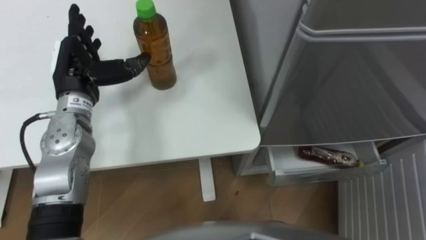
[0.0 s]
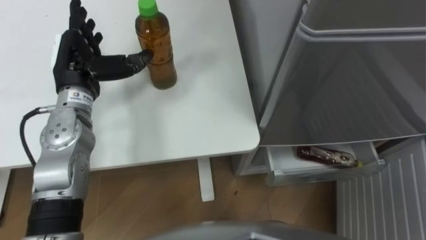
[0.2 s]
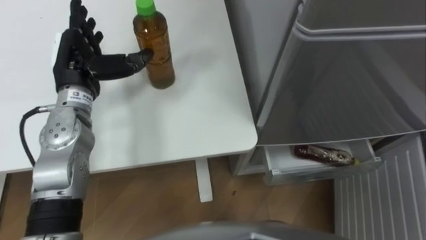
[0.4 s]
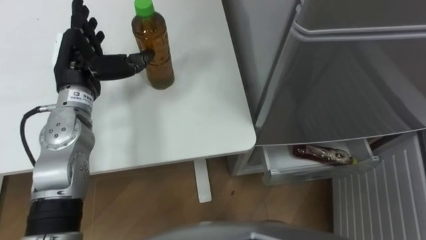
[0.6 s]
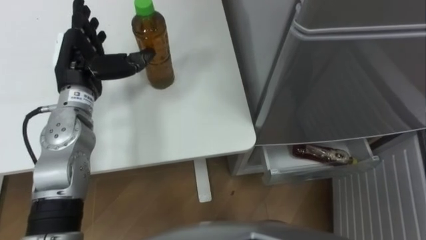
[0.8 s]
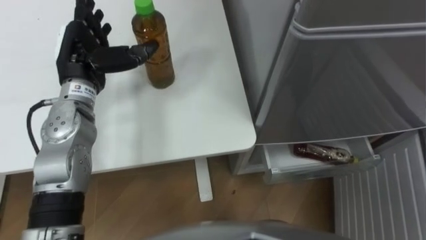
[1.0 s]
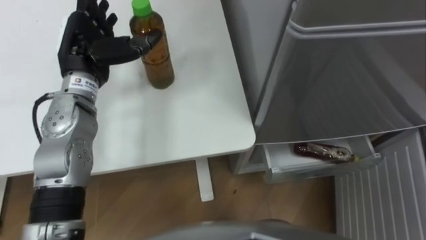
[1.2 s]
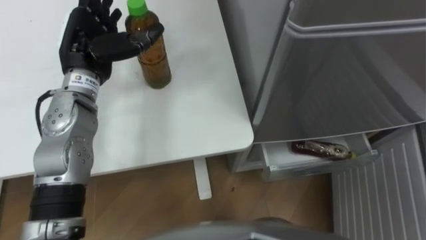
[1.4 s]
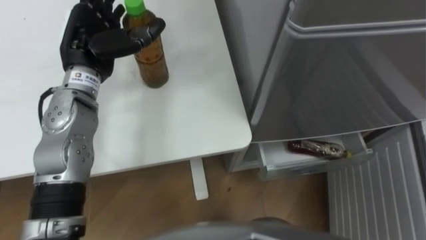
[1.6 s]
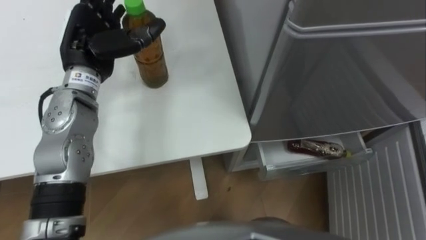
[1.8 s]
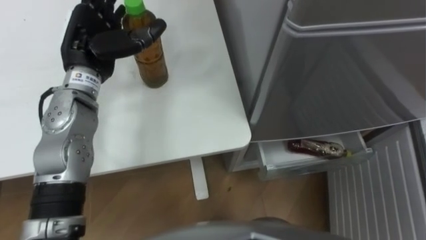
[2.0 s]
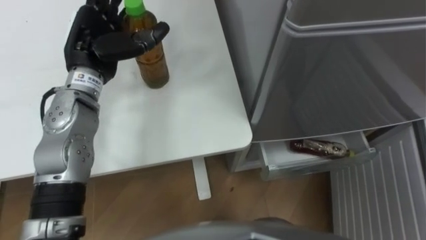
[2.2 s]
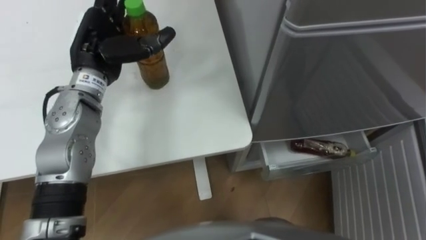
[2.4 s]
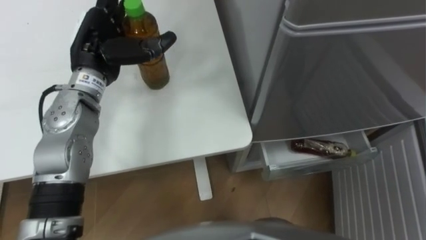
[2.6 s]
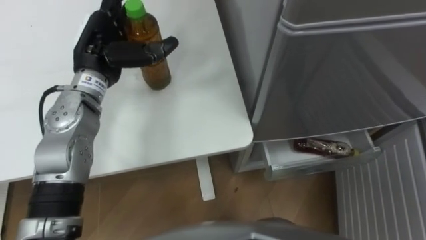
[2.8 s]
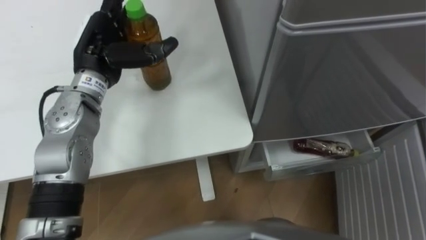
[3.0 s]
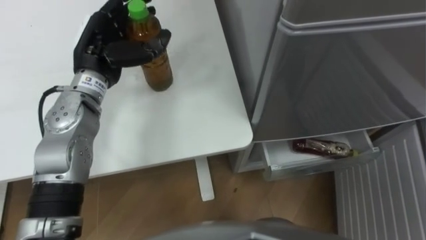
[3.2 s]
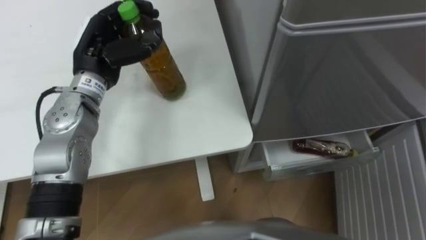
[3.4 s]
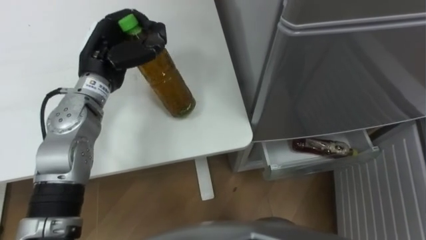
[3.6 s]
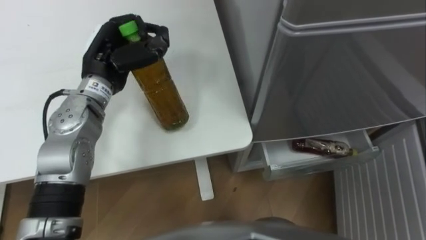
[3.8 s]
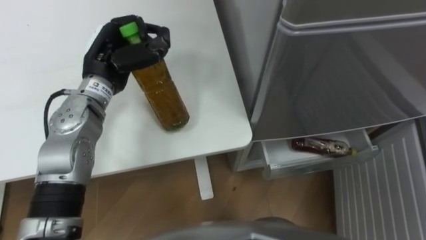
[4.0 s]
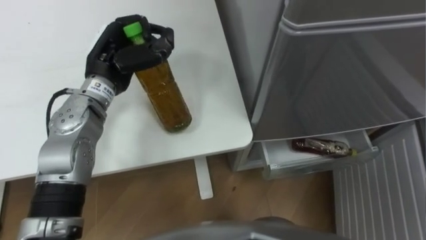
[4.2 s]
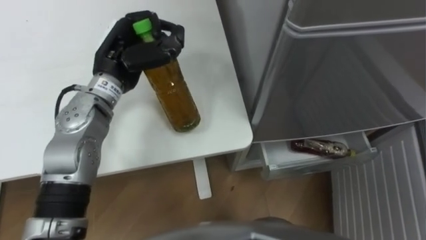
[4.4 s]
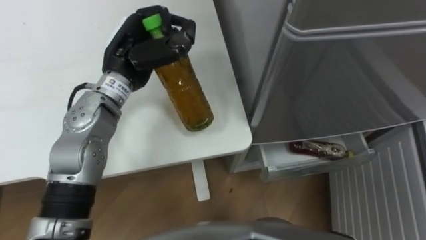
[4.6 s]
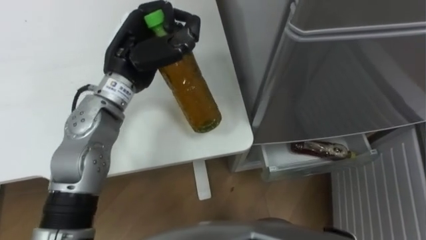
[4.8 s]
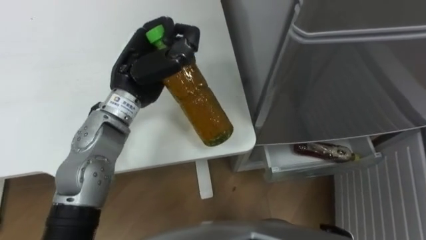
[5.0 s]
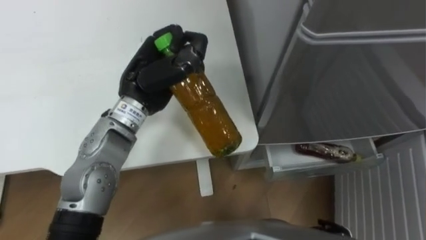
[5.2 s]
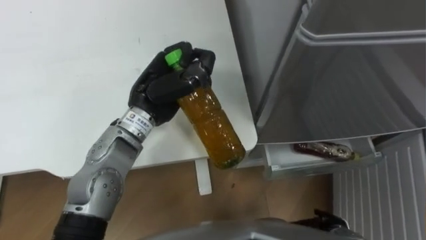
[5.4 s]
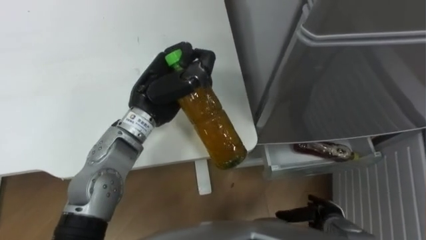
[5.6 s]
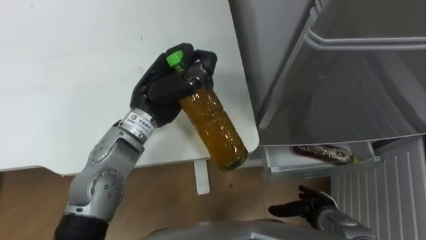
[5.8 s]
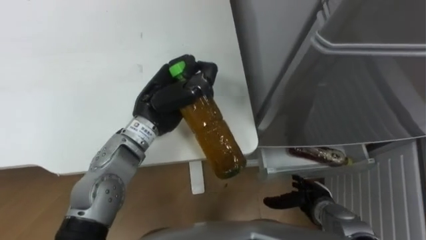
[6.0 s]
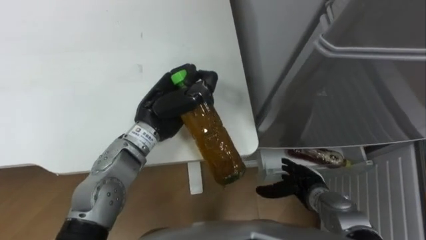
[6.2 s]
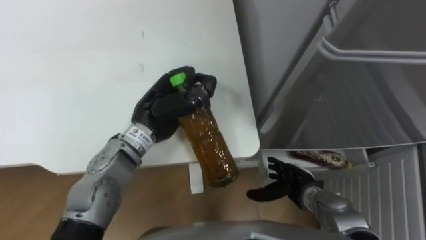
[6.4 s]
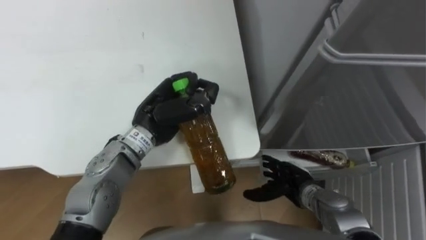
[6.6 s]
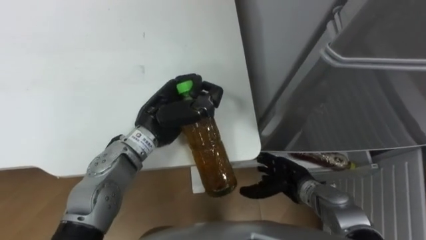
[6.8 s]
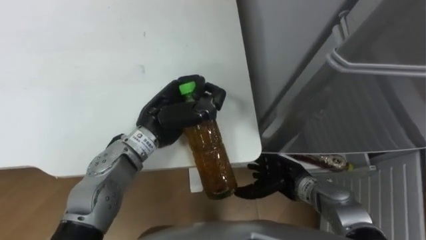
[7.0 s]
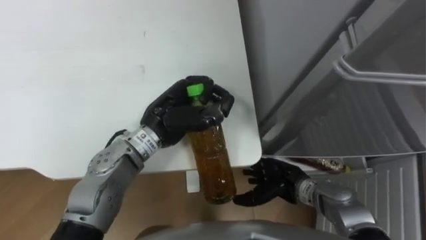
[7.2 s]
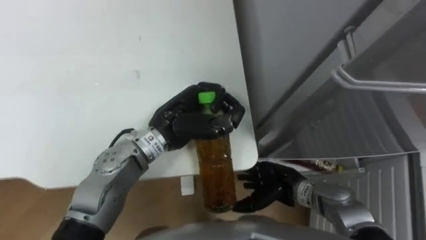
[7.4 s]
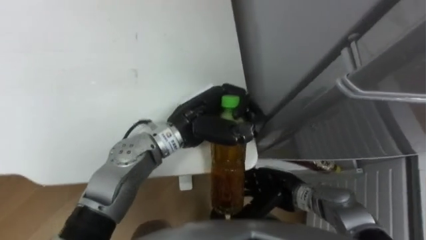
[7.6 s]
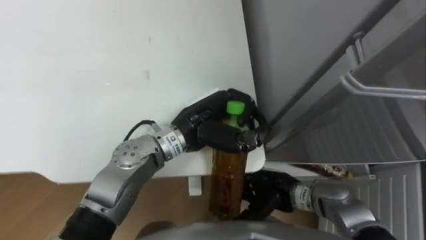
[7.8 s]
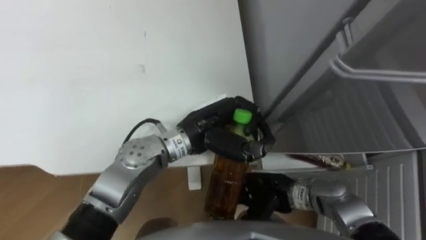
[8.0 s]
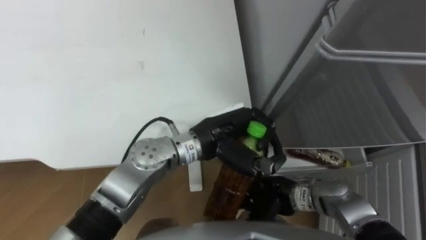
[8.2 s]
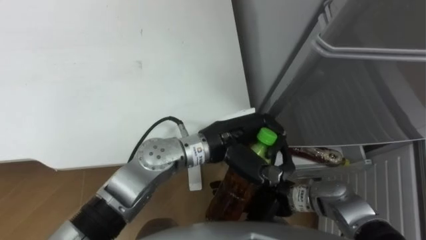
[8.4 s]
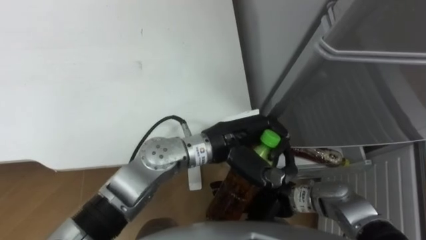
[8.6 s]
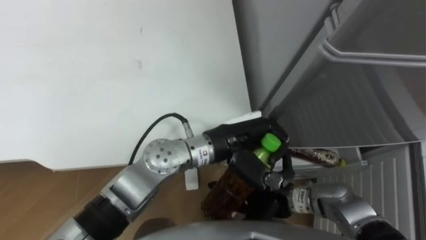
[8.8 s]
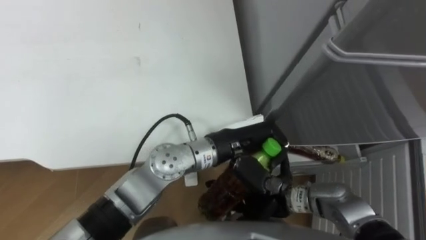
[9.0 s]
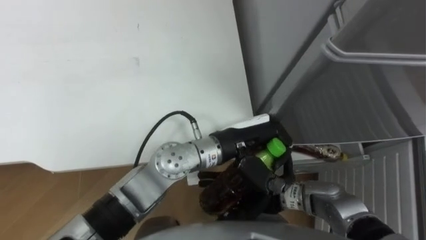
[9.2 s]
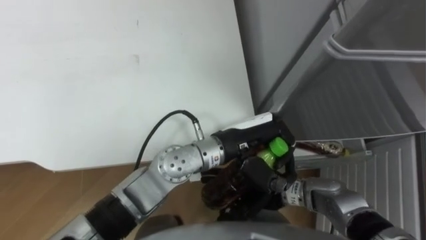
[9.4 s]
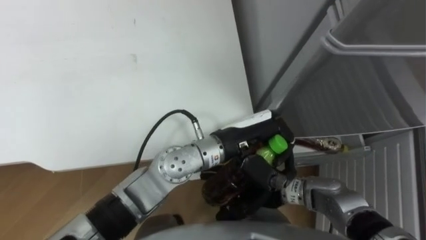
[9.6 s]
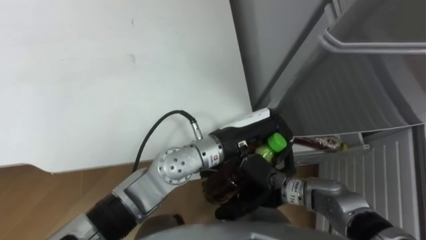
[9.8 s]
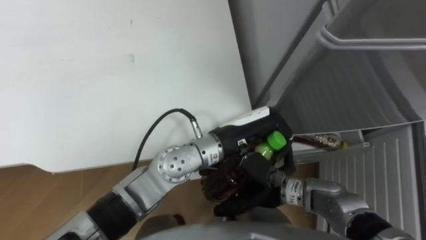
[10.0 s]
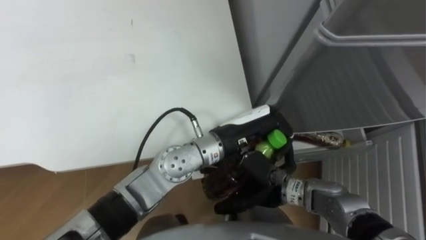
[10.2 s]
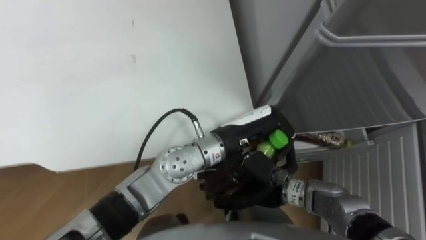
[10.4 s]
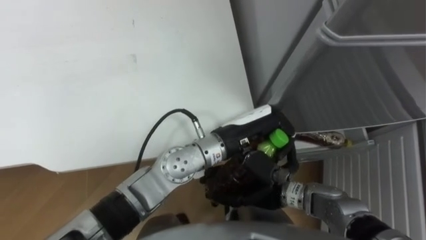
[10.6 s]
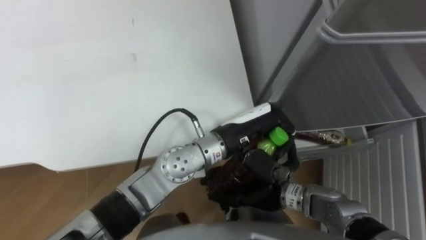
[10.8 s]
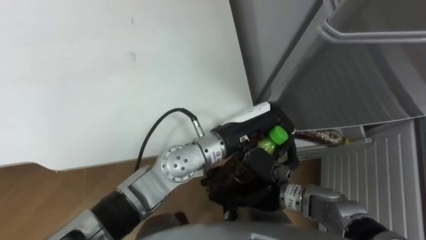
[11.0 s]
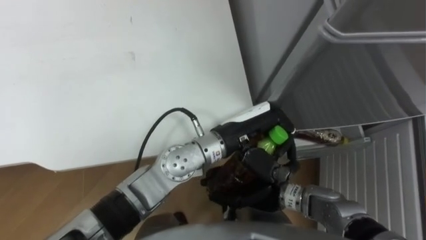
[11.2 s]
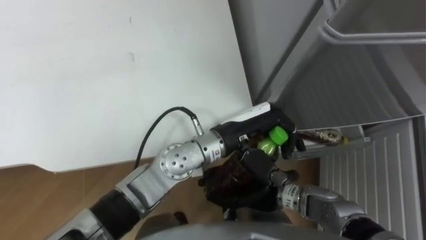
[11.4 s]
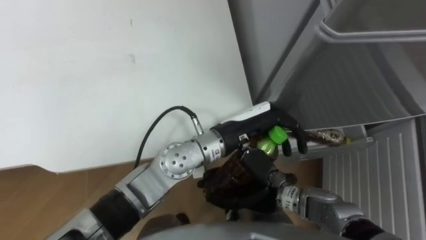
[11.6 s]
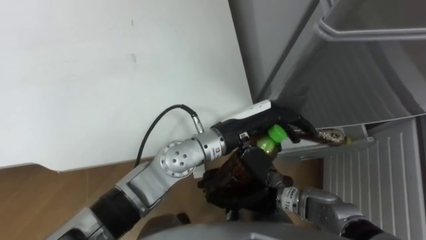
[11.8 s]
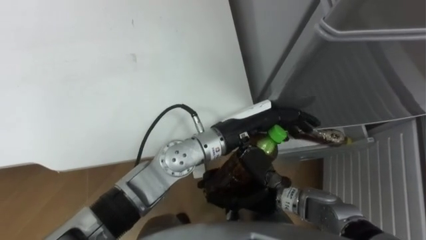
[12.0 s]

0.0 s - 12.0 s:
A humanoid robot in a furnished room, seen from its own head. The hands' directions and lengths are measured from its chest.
Task of the whole recording: Place the drink on the table on the bottom shelf of the refrigerator, then close the drawer and the refrigerator door.
0.0 s - 1.6 s: The left hand changes place by about 5 cm.
3.0 s - 4.4 s: The left hand closes up.
4.4 s - 6.0 s: The left hand shifts some 10 cm to the right and backward.
6.0 s - 7.6 s: The right hand goes about 10 cm to the left and upward. Meanwhile the left hand shifts about 5 cm to the right.
7.6 s - 9.0 s: The left hand heads to the right, covering about 5 cm.
10.4 s - 12.0 s: The right hand closes, while the left hand opens up.

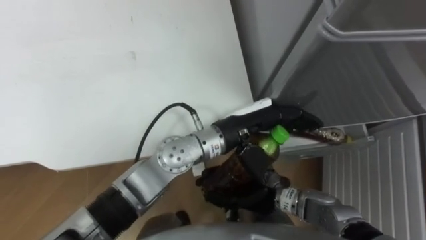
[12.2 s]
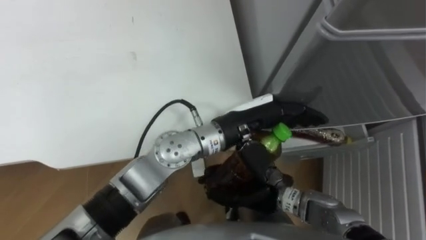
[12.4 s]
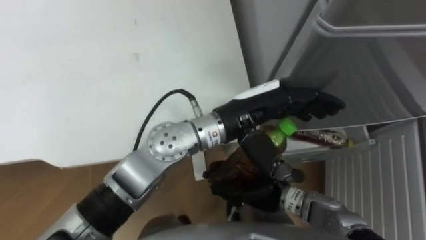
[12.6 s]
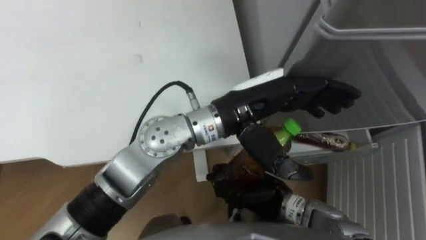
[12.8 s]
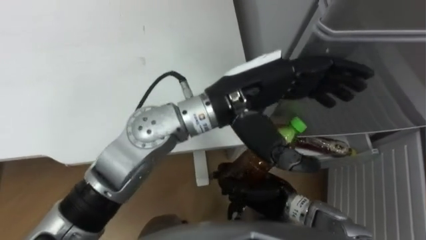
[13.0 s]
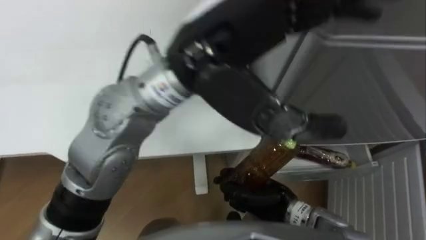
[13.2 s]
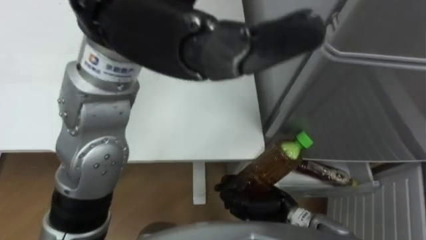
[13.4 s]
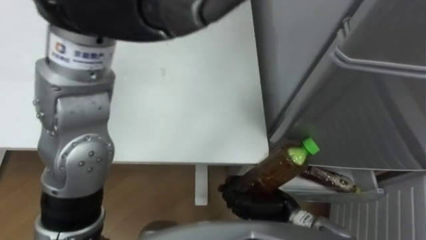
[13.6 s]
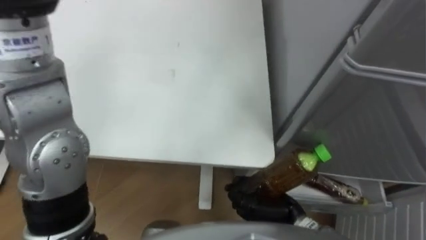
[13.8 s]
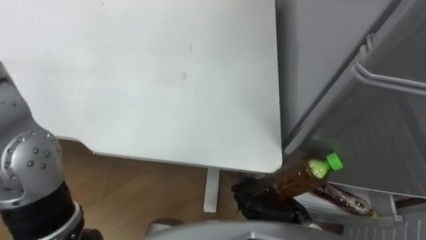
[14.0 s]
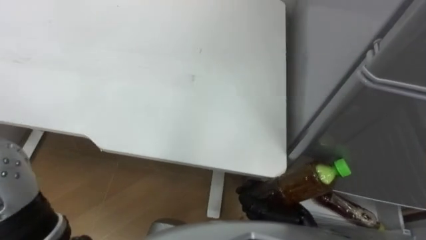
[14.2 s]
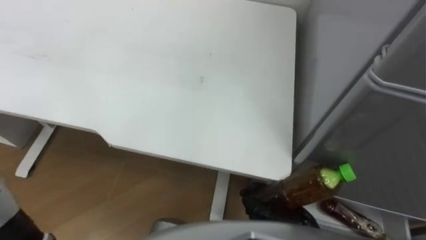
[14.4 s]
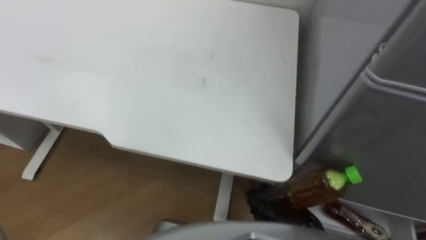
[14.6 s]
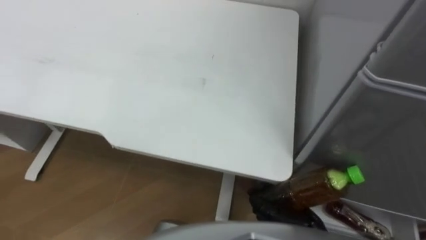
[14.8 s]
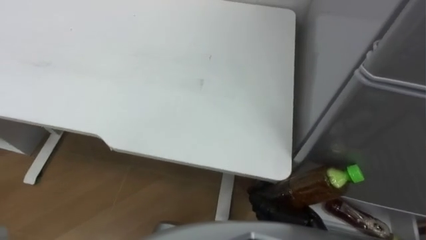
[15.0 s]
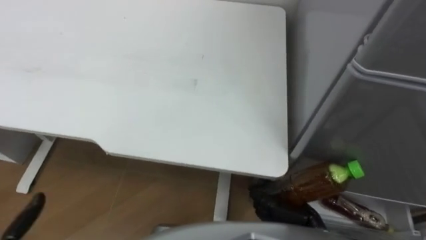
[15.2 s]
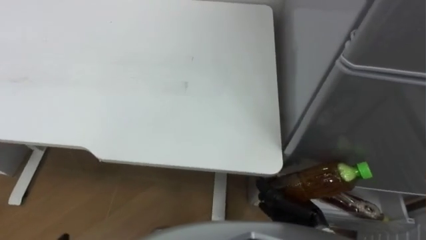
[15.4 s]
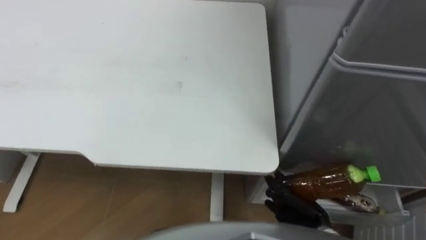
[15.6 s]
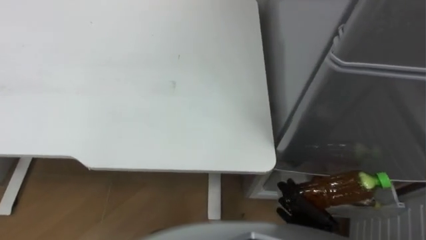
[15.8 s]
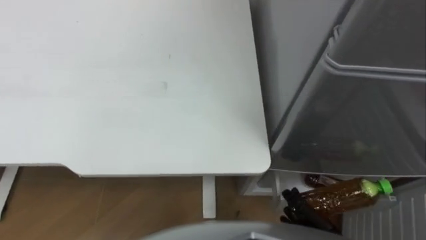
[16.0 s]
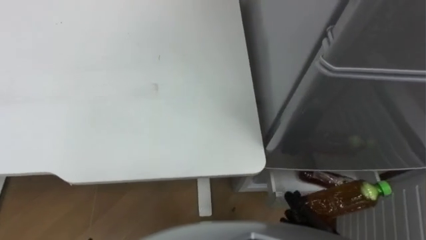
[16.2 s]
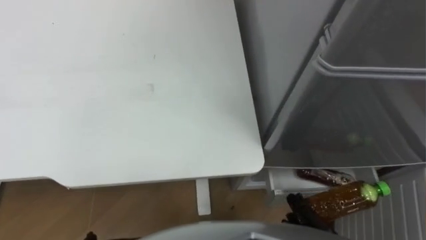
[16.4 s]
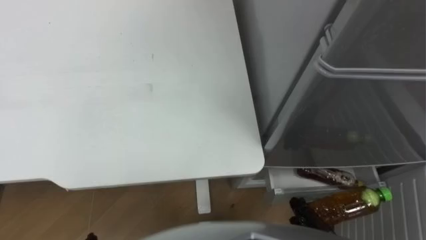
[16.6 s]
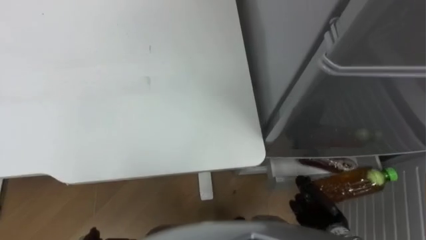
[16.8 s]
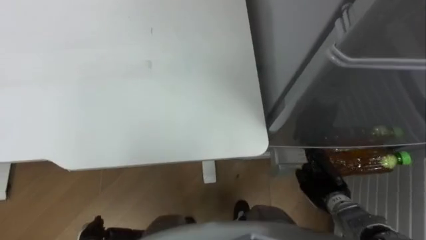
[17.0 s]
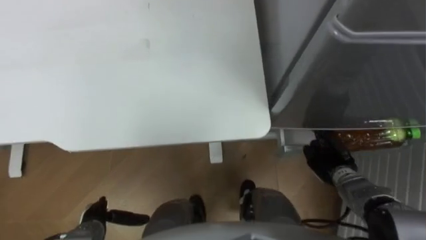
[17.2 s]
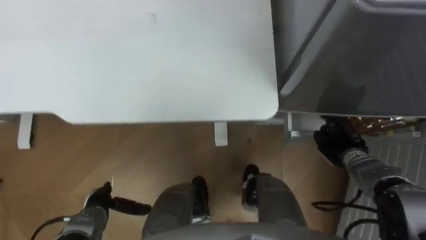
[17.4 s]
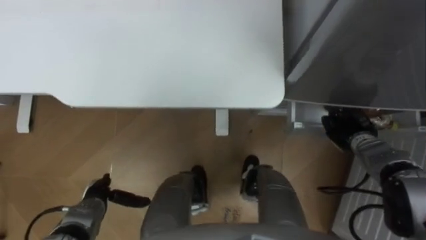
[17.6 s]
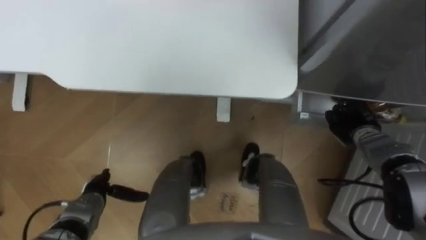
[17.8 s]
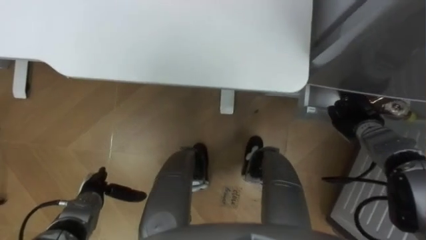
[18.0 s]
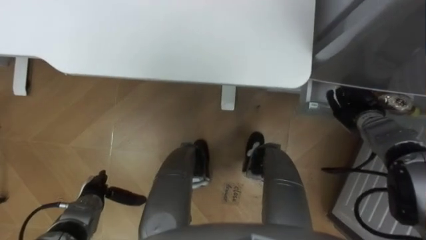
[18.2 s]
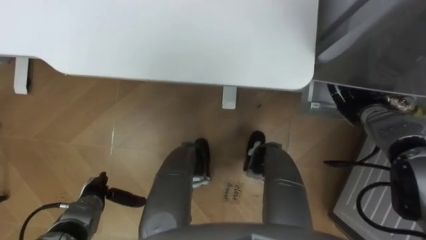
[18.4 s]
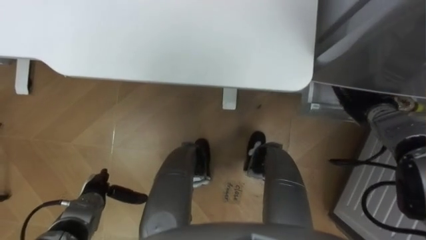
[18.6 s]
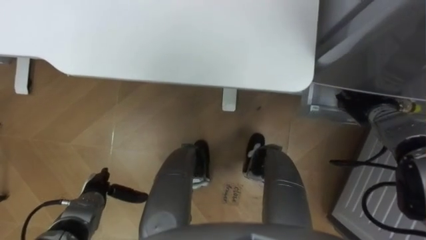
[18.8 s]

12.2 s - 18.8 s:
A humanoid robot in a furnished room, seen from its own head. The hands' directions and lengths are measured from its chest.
Task of the whole recording: Place the drink on the table on the bottom shelf of the refrigerator, then close the drawer and the refrigerator door.
12.2 s - 13.8 s: The right hand changes place by about 5 cm.
13.8 s - 15.4 s: The right hand goes roughly 5 cm to the right.
17.2 s - 18.8 s: The right hand moves forward, upward and to the right, approximately 15 cm, and opens, while the left hand is displaced forward by roughly 5 cm.
